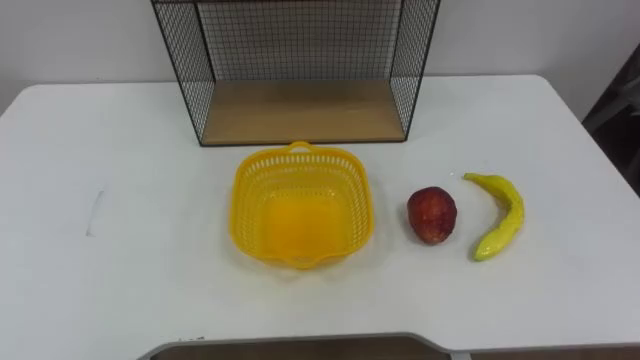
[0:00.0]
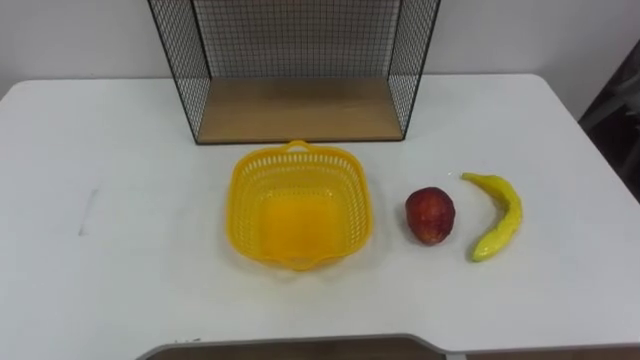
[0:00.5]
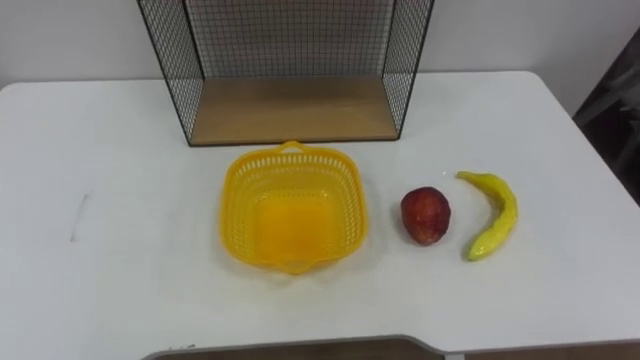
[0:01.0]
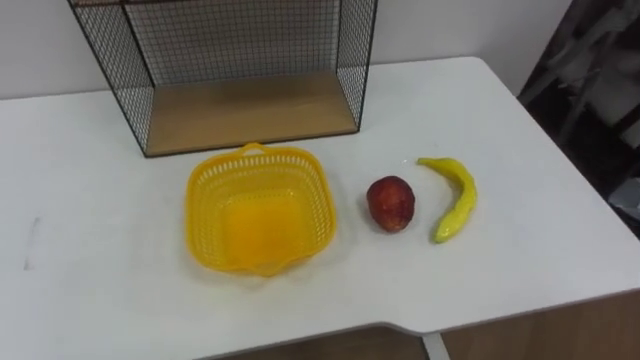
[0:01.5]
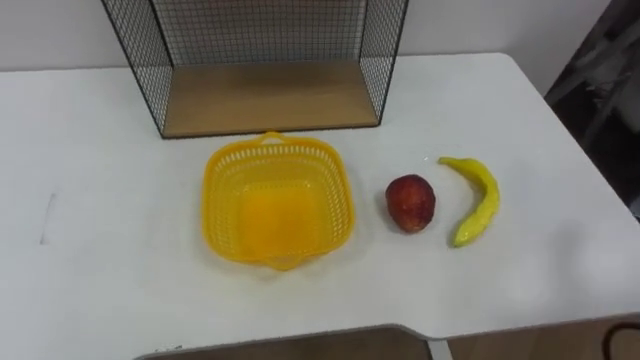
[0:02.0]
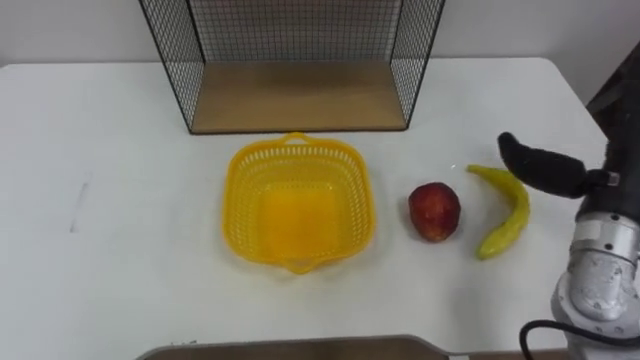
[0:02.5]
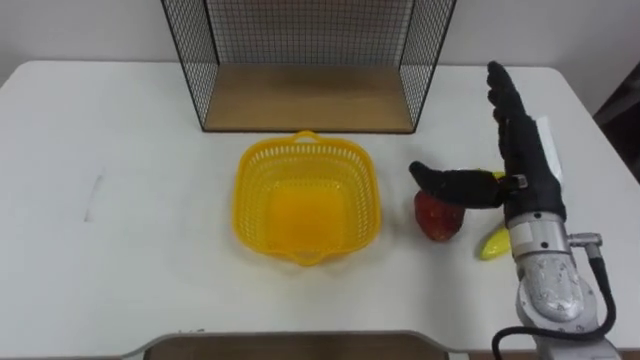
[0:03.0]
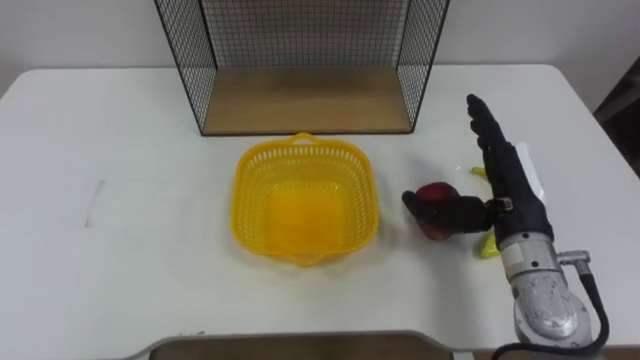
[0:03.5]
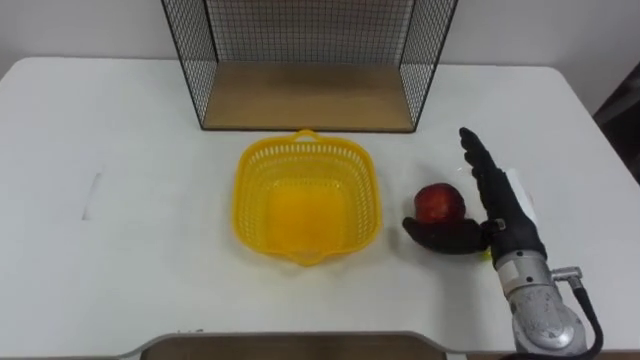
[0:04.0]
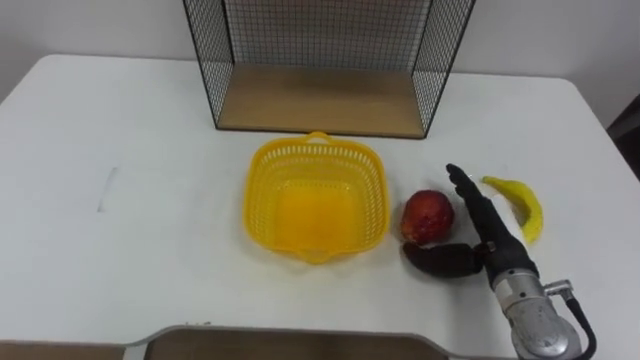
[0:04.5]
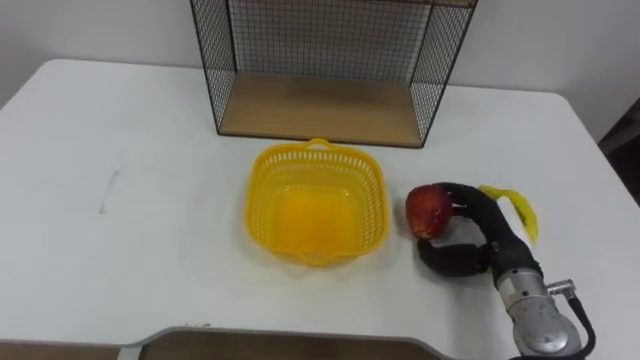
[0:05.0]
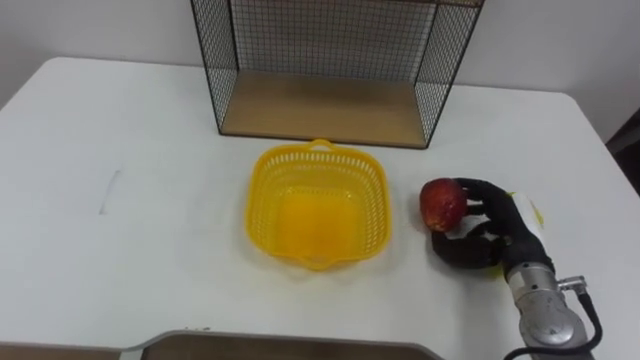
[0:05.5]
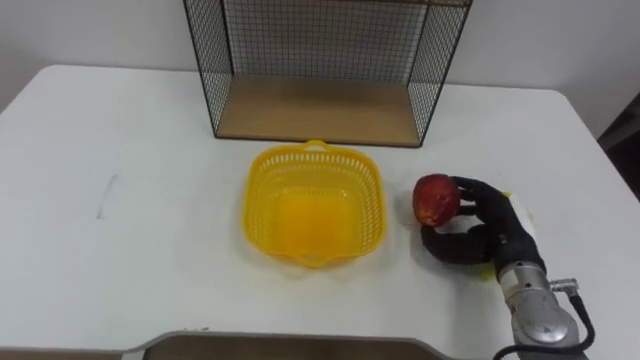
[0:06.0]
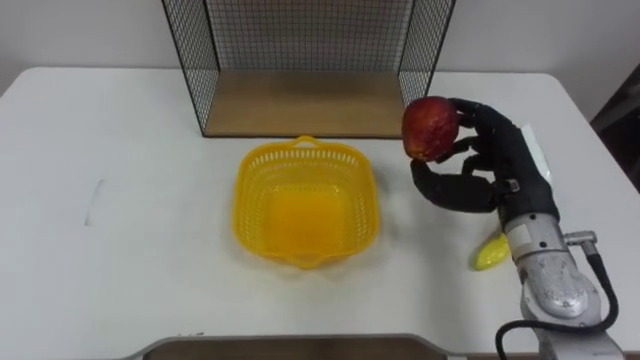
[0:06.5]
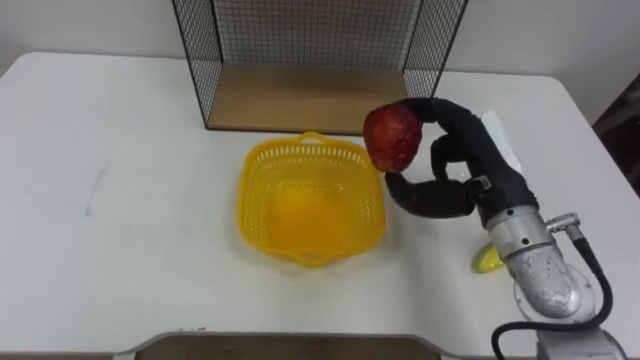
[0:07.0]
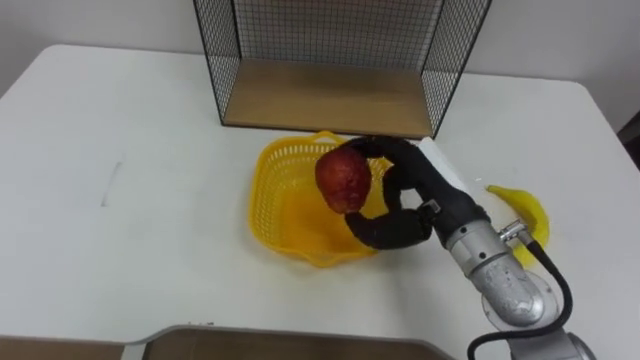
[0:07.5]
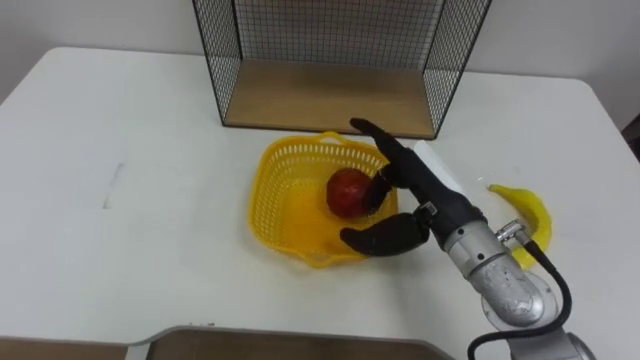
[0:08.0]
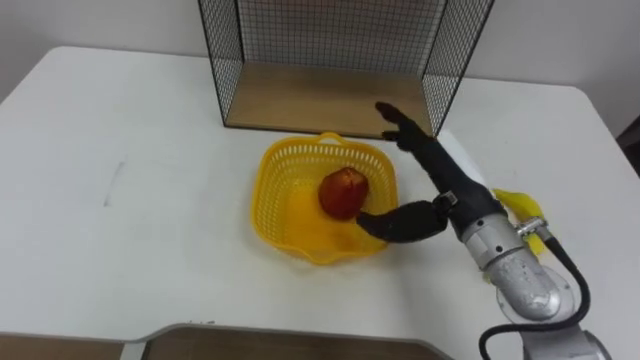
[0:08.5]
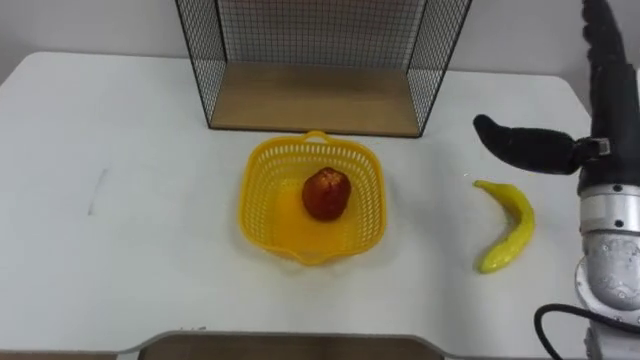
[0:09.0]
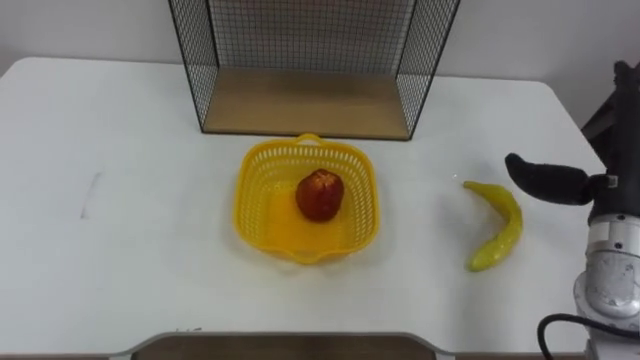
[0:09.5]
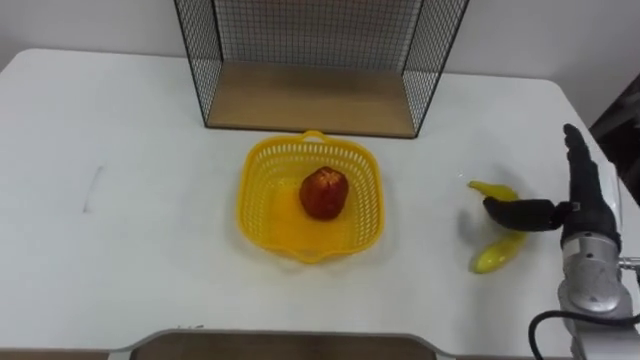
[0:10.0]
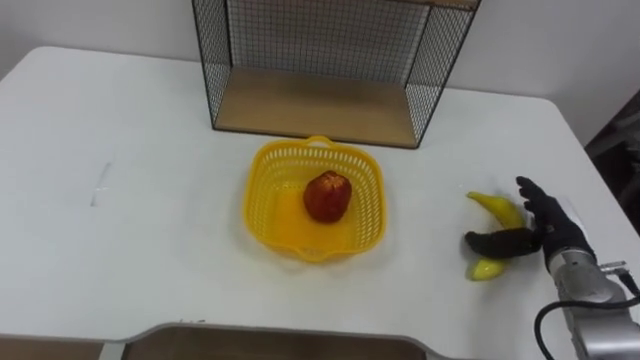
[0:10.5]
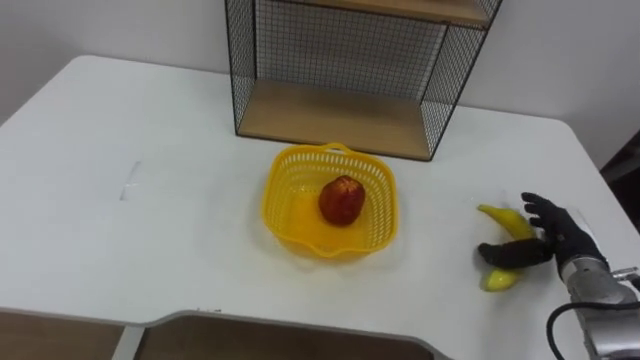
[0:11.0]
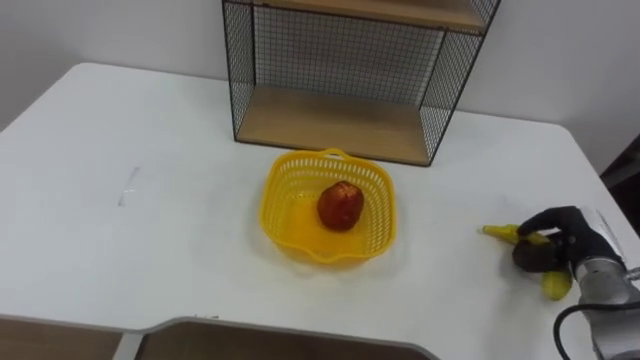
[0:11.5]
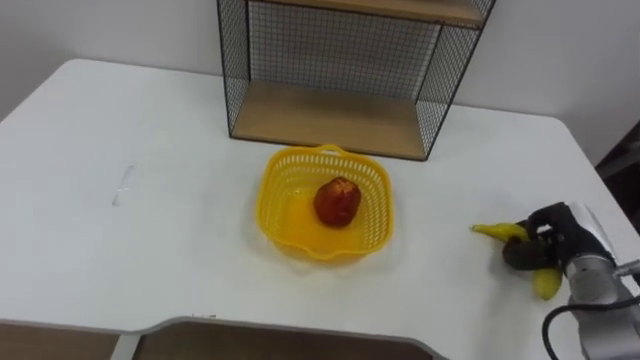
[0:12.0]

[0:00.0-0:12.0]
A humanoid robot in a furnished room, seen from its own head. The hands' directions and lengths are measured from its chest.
Task of the whole recording: Put the fruit on the table into the basket, then place the basket on the shelf.
0:04.0 to 0:06.0: The right hand heads downward, covering some 5 cm, and closes its fingers.
0:06.0 to 0:08.0: The right hand is displaced to the left and upward by about 15 cm.
0:10.0 to 0:12.0: The right hand goes about 5 cm downward, and closes up.

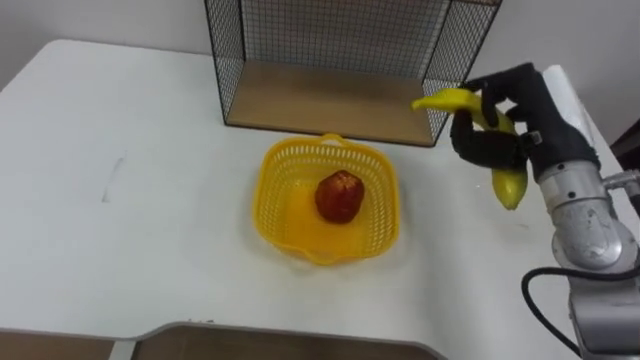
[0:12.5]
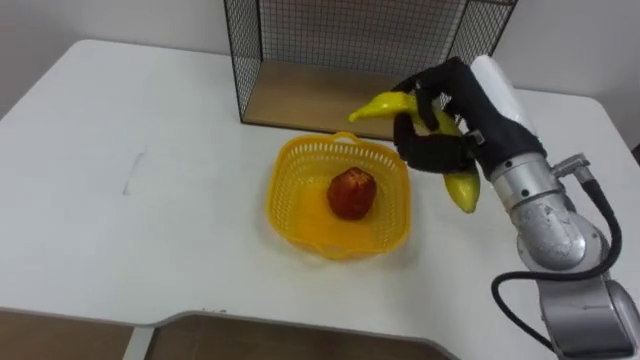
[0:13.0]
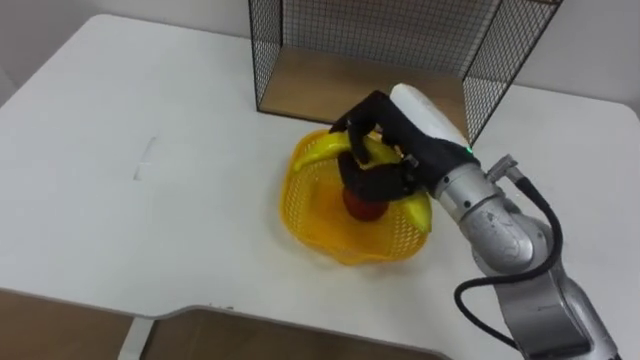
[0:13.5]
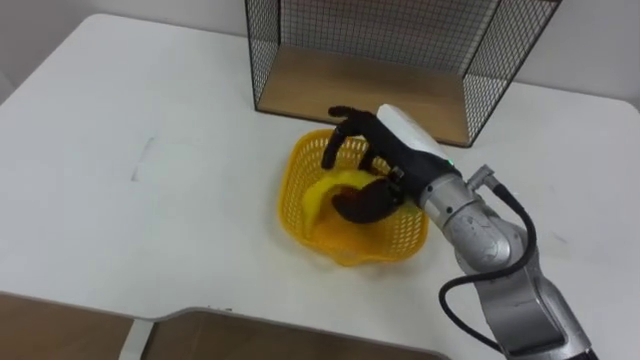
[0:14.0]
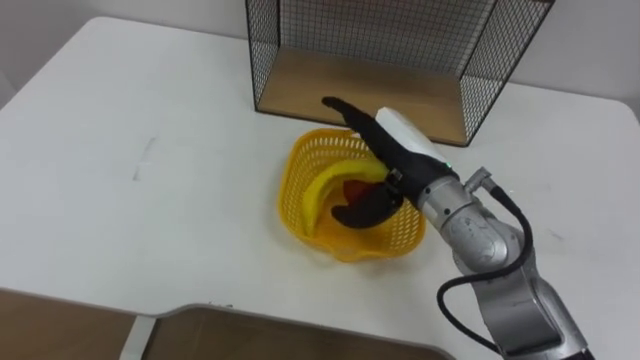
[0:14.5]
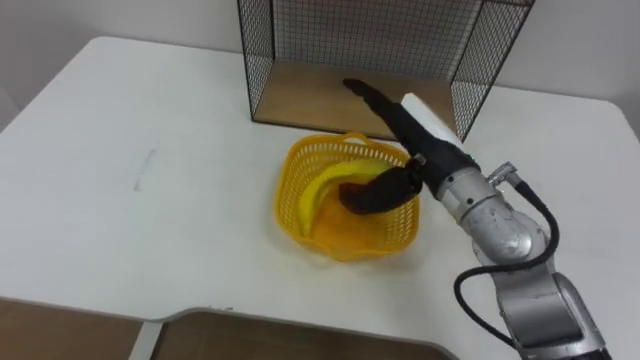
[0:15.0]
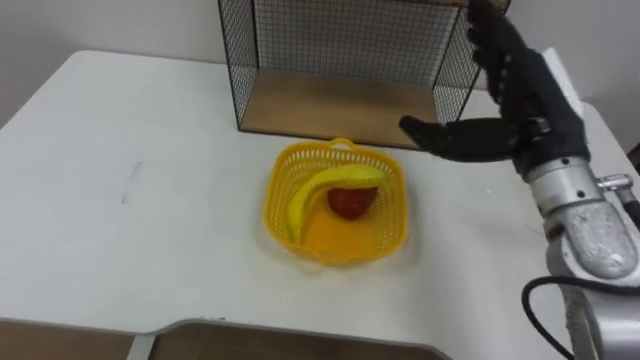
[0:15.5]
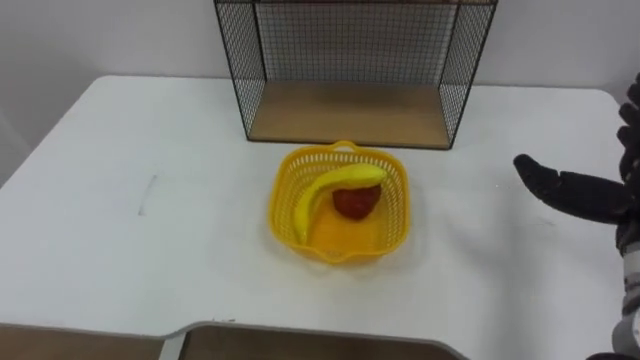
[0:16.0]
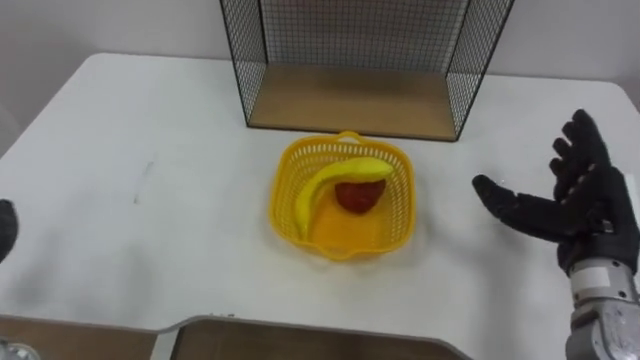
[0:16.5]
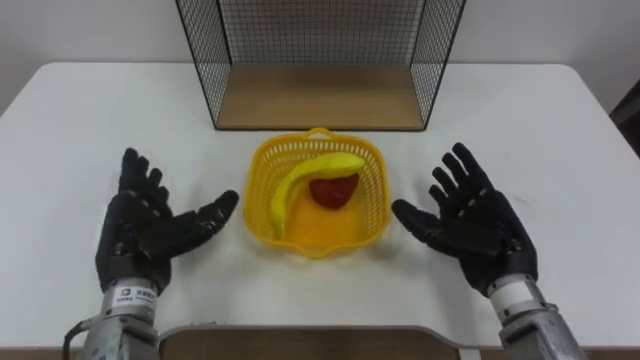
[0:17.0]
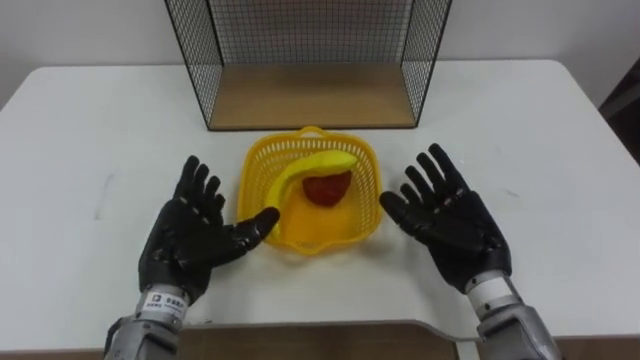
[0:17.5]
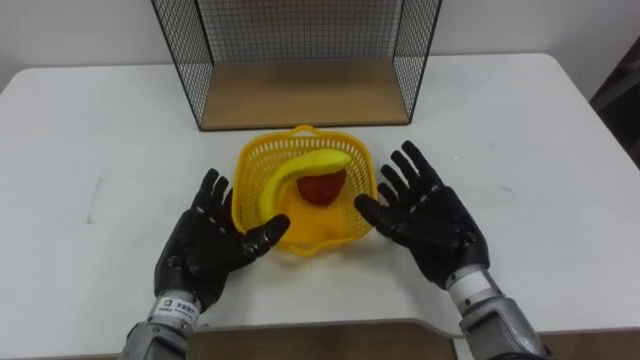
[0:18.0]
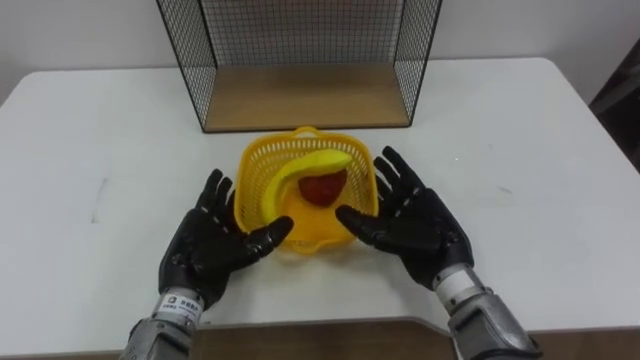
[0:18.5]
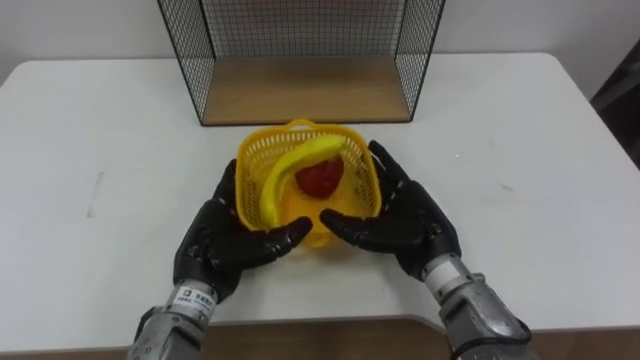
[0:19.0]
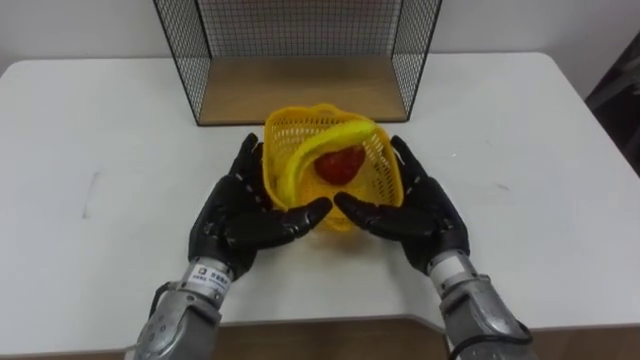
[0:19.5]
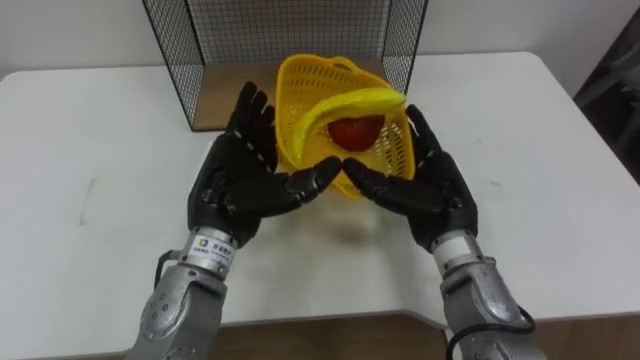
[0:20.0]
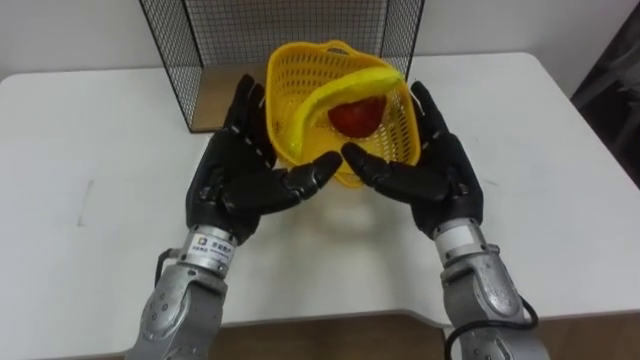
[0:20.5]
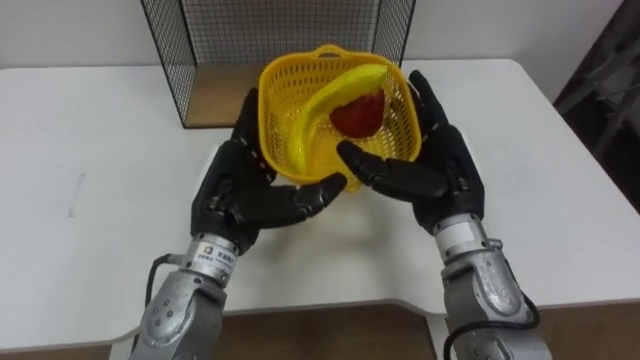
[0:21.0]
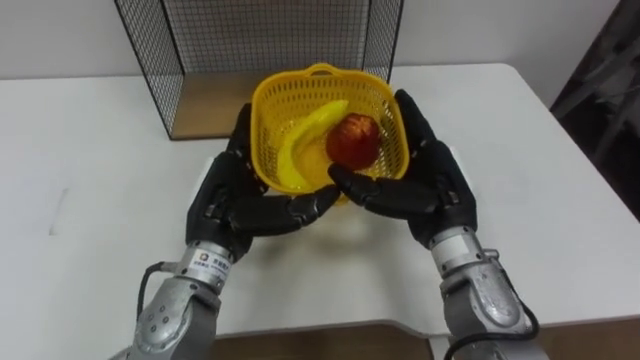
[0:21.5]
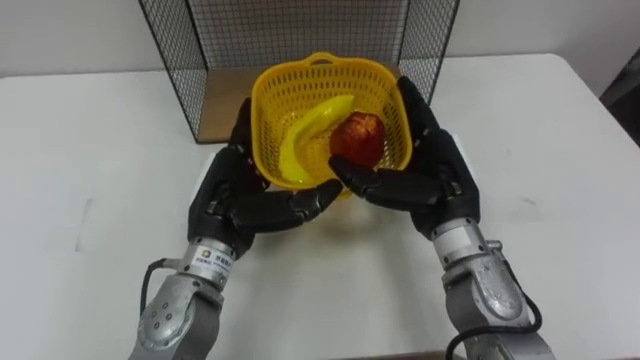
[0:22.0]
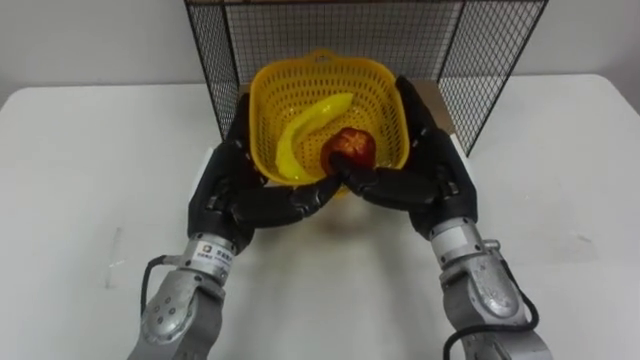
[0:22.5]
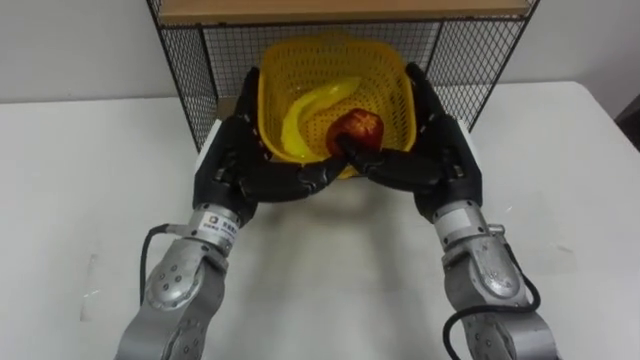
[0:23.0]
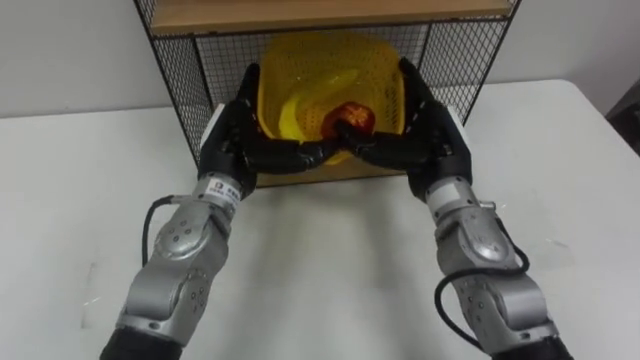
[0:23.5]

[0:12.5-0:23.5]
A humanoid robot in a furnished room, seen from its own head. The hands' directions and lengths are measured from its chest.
Task of the whole recording: Put the fruit on the table into the basket, then place the basket on the shelf.
0:12.5 to 0:14.5: The right hand shifts some 15 cm to the left, and opens.
0:18.0 to 0:20.0: The left hand travels upward and to the right by about 10 cm.
0:21.5 to 0:23.5: The left hand goes some 5 cm forward.
